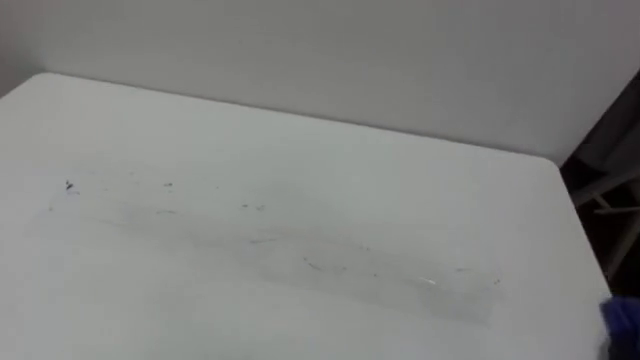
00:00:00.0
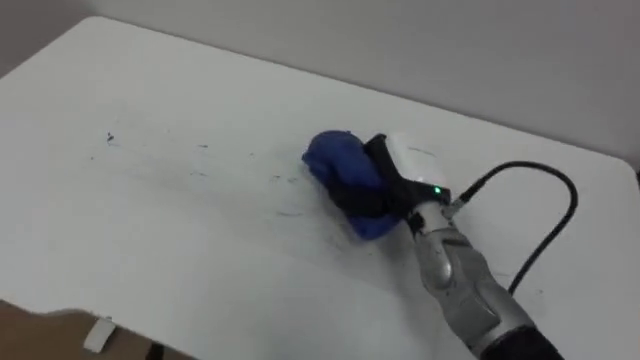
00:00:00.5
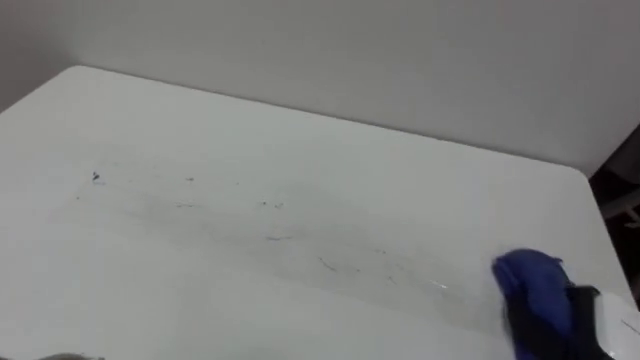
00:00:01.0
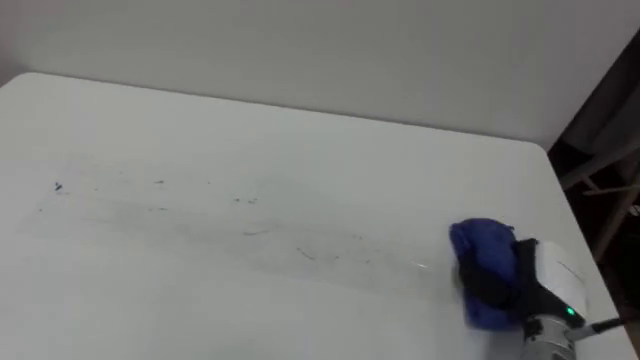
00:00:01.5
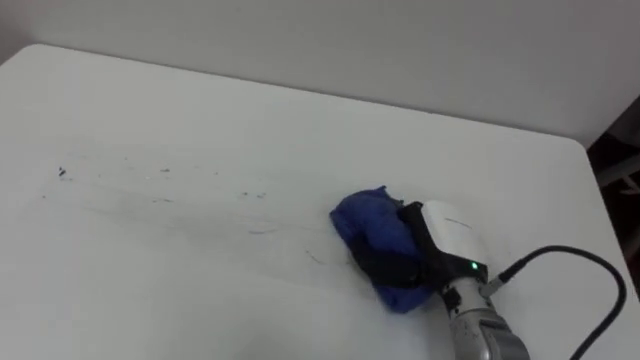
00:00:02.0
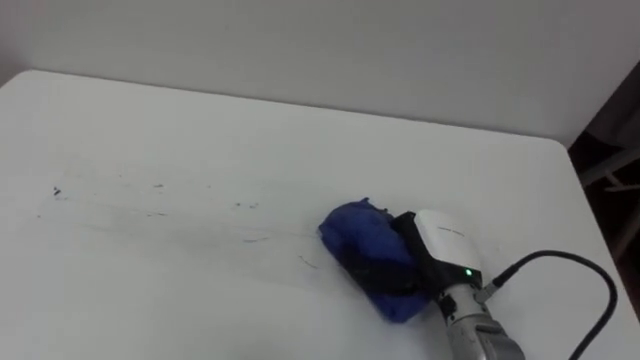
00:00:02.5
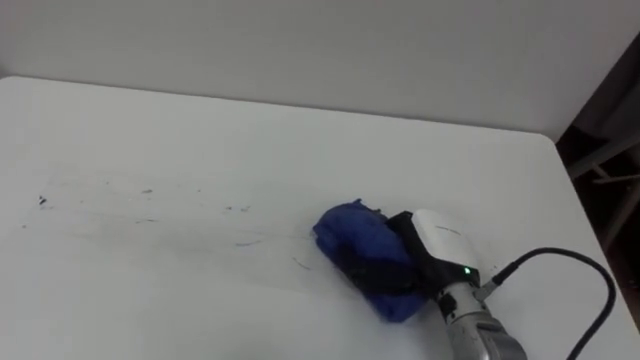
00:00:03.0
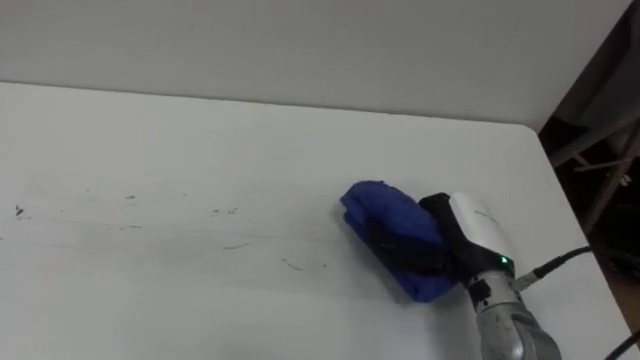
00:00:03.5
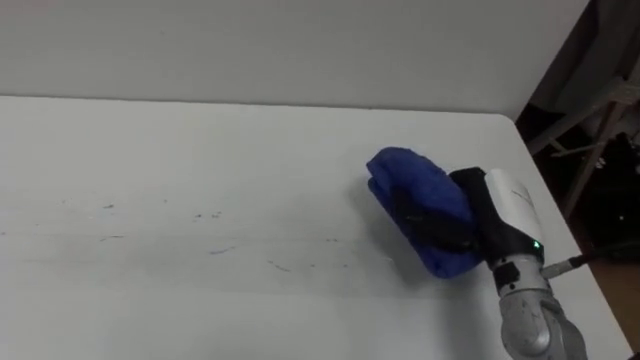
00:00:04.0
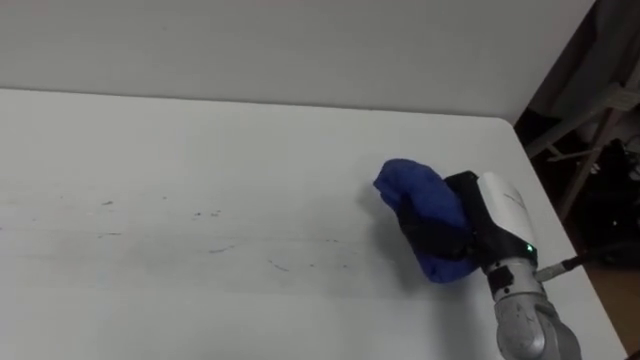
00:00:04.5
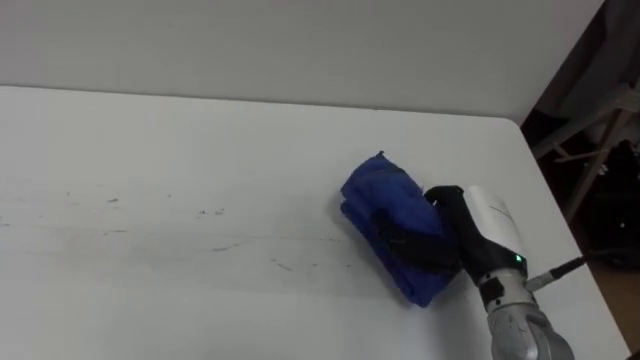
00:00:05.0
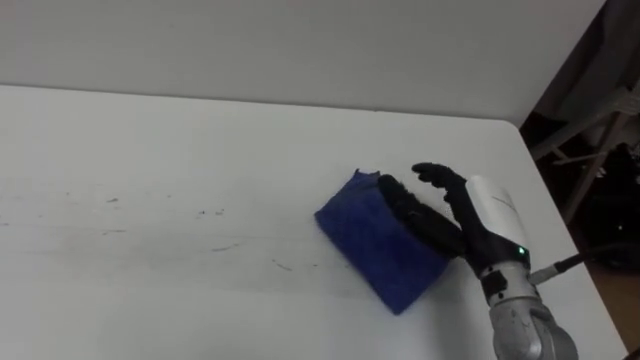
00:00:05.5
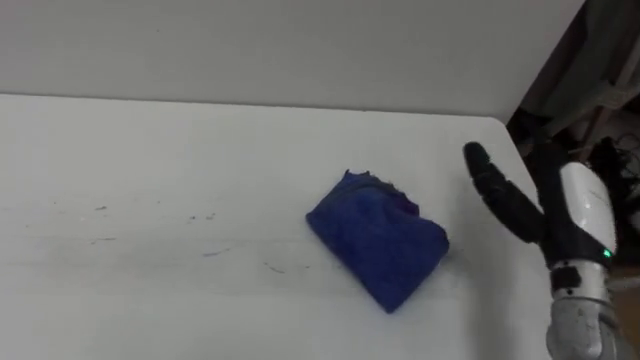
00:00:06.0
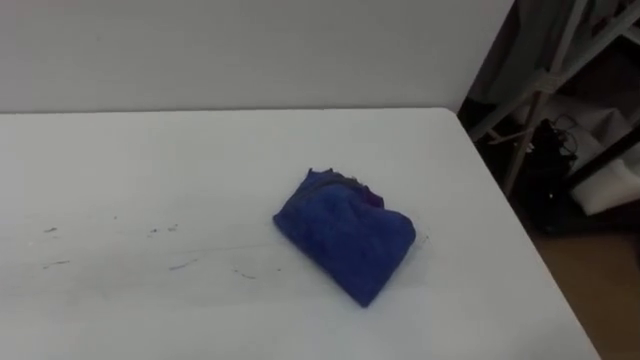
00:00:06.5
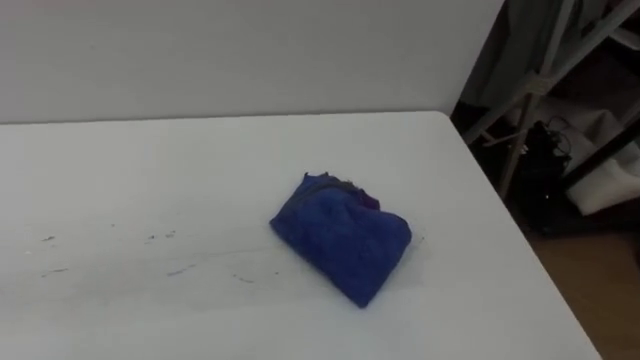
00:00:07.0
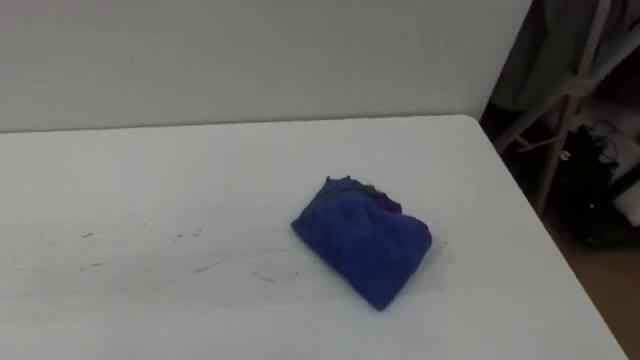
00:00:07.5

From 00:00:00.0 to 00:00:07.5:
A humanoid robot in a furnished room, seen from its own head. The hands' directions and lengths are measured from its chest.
Task of the whole recording: Wipe the blue pen marks off the table with the rag.
From 00:00:02.0 to 00:00:04.0: The right hand travels to the right and upward by approximately 10 cm.
From 00:00:04.0 to 00:00:05.5: The right hand opens up.

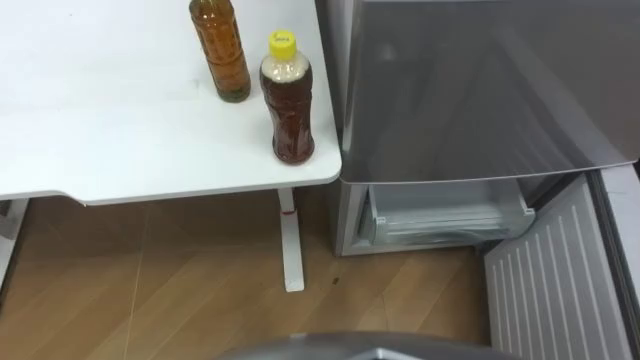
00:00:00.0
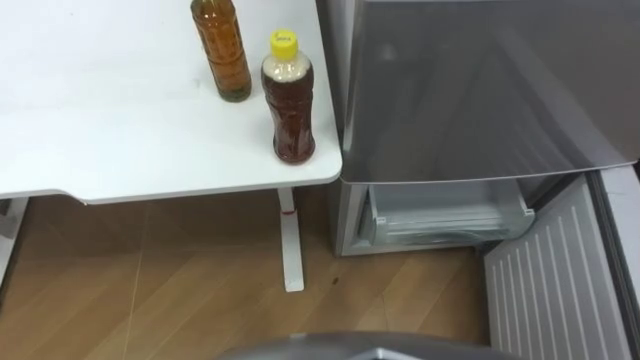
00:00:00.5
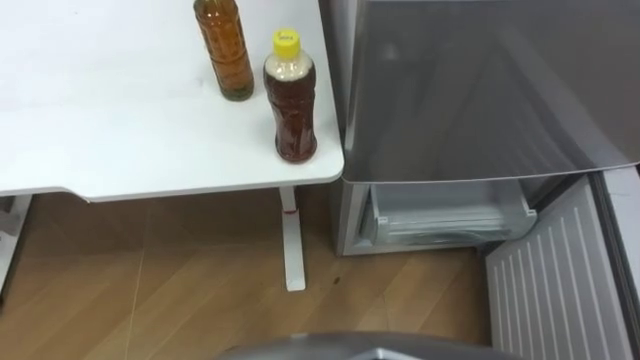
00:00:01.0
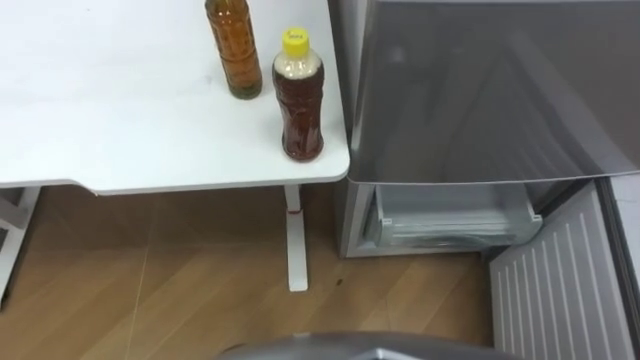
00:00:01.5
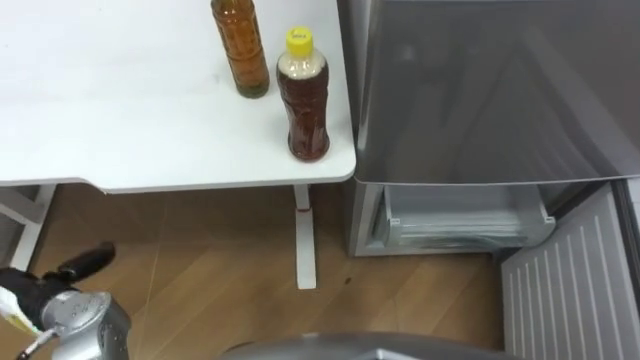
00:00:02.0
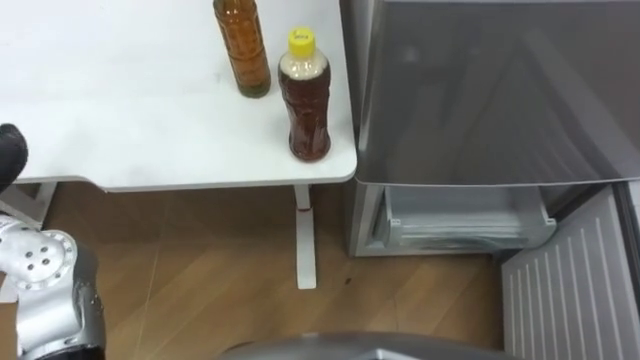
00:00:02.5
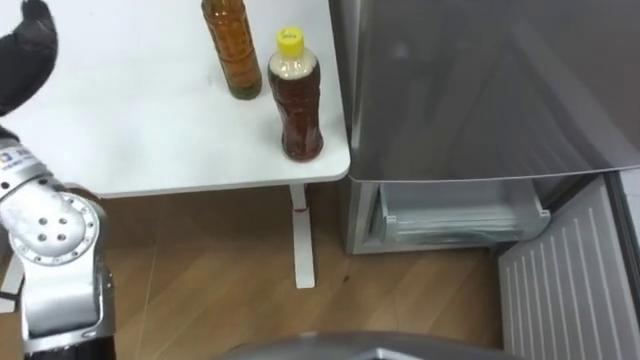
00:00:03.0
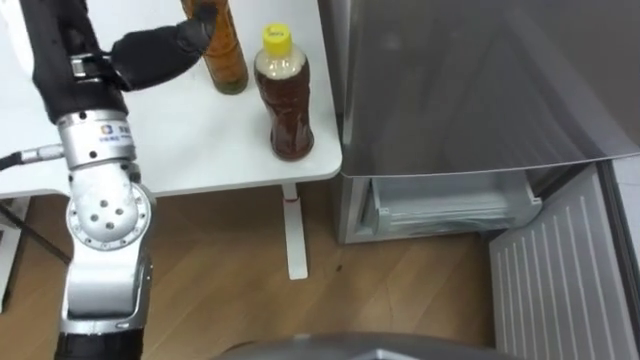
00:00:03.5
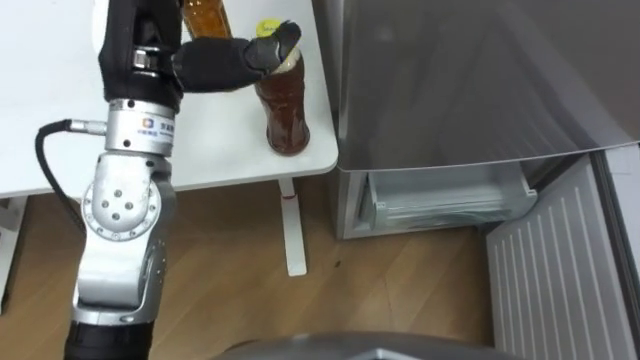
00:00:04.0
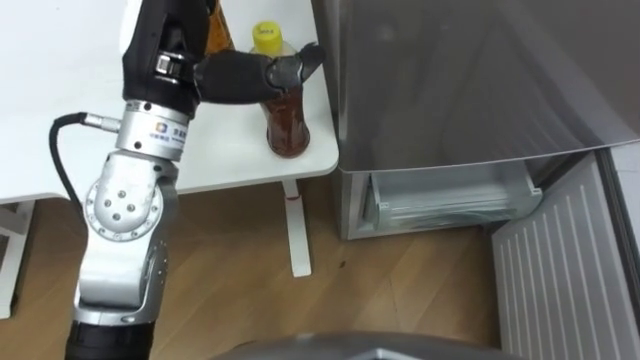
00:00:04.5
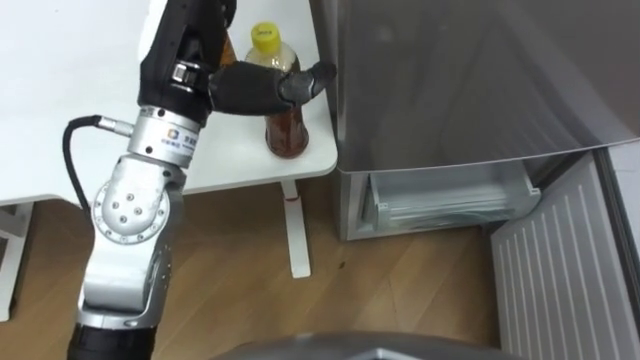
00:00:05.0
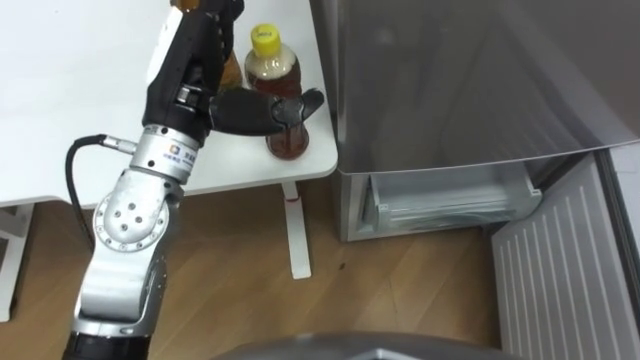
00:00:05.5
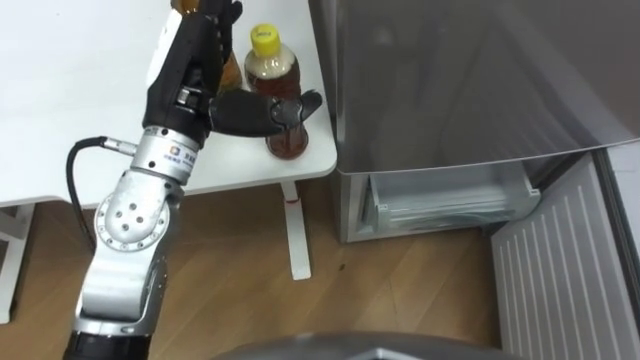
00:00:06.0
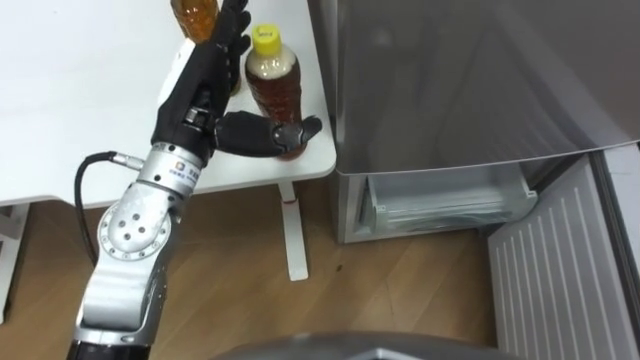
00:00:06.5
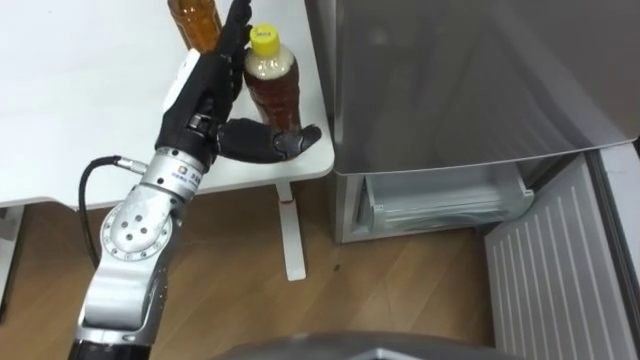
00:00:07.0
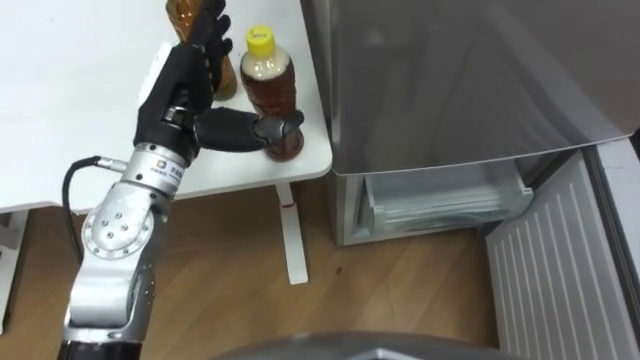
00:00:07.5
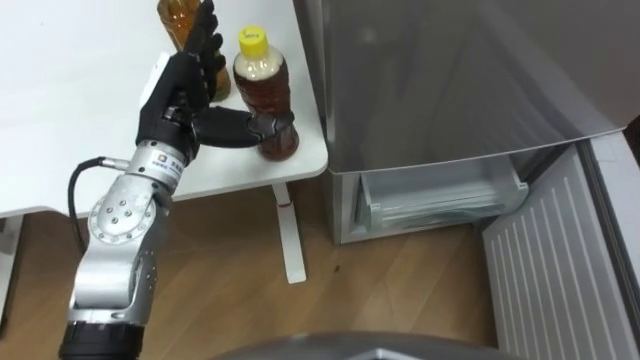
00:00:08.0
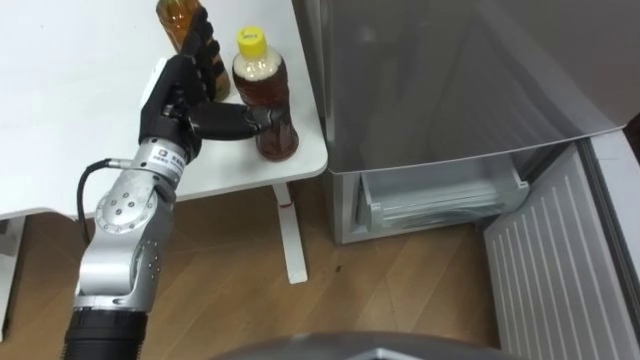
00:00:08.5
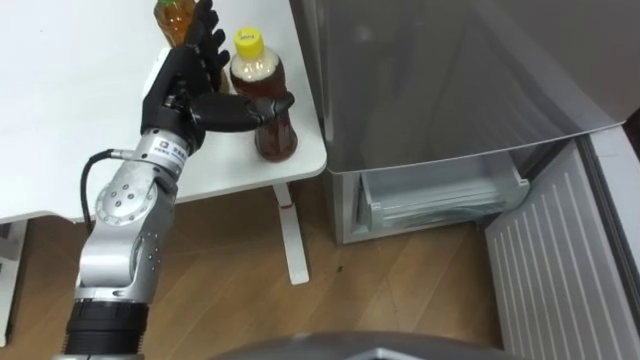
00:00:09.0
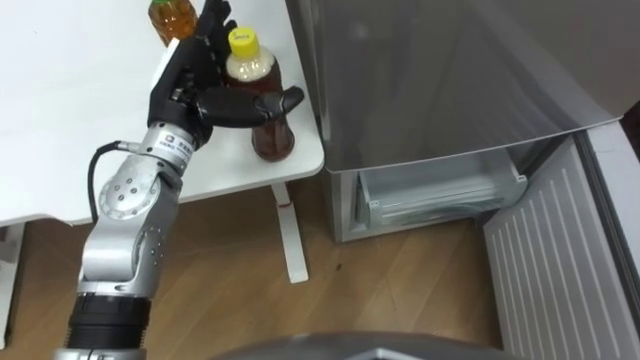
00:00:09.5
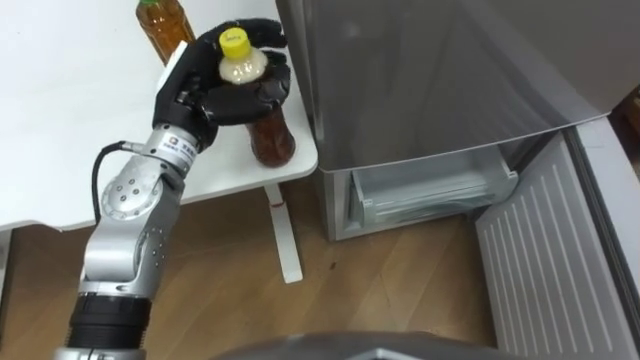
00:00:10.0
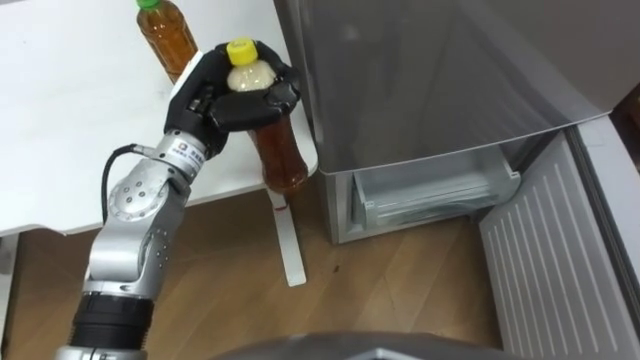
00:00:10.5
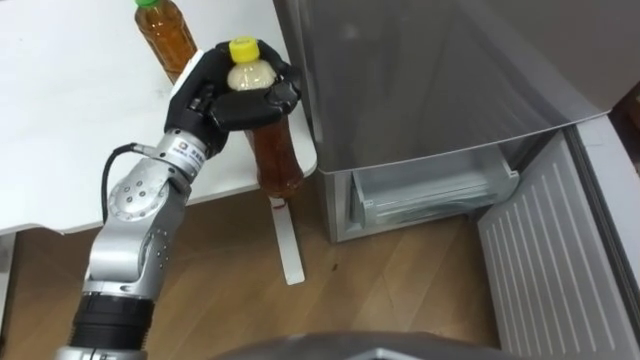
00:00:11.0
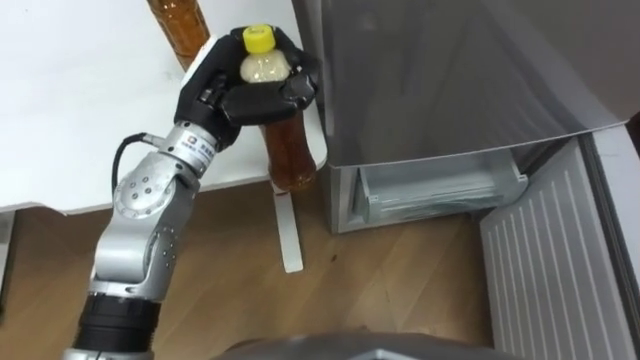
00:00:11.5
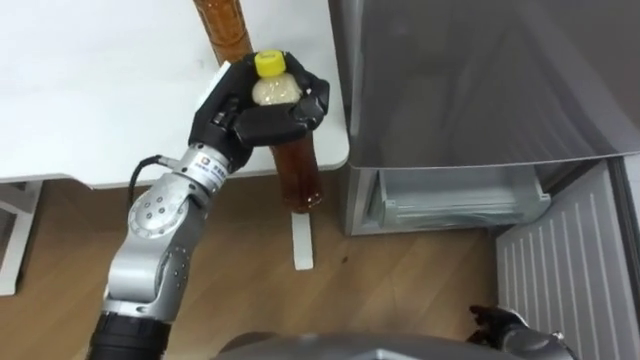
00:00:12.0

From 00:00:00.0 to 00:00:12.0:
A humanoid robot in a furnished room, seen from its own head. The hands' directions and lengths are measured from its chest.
Task of the whole recording: Place the drink on the table on the bottom shelf of the refrigerator, then close the drawer and the refrigerator door.
From 00:00:04.0 to 00:00:06.0: The left hand ends up roughly 5 cm from where it was.
From 00:00:06.0 to 00:00:08.0: The left hand goes about 5 cm downward.
From 00:00:08.0 to 00:00:10.0: The left hand closes its fingers.
